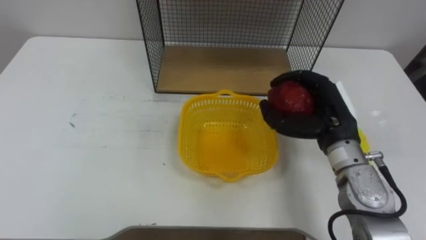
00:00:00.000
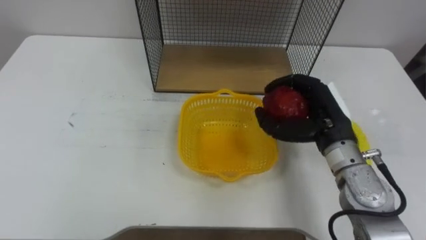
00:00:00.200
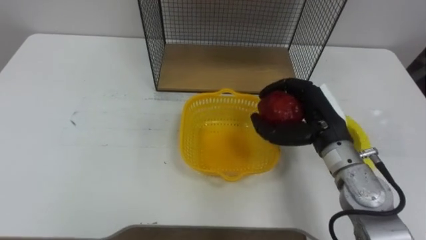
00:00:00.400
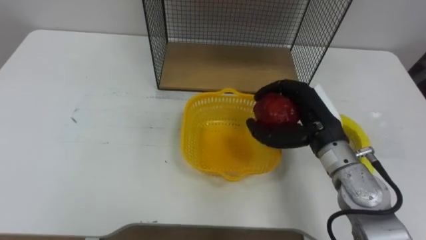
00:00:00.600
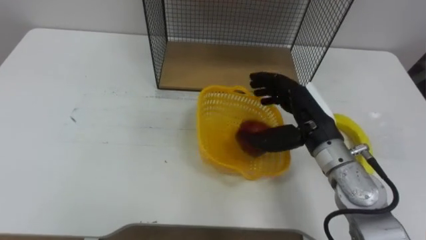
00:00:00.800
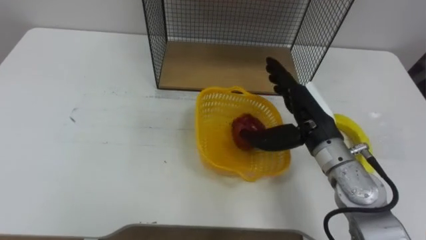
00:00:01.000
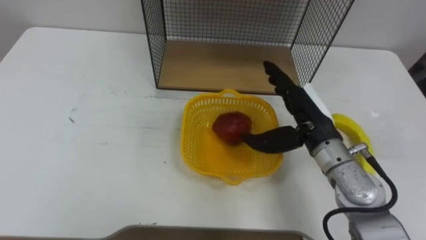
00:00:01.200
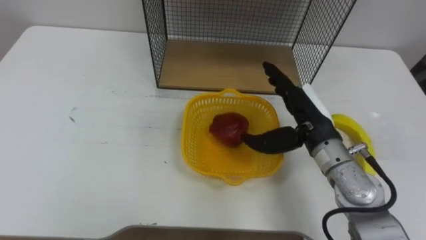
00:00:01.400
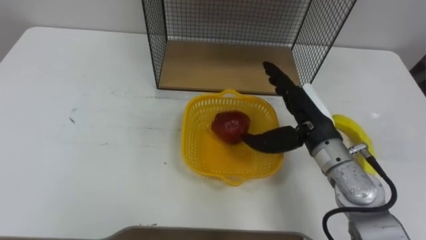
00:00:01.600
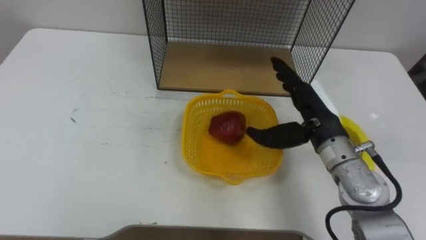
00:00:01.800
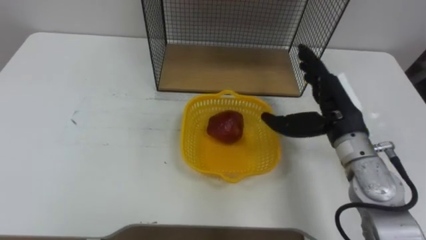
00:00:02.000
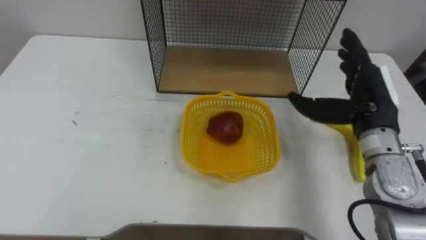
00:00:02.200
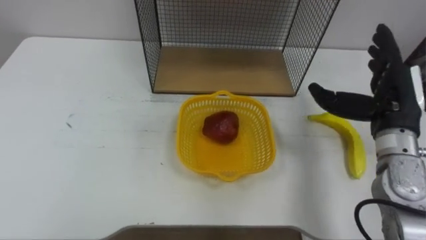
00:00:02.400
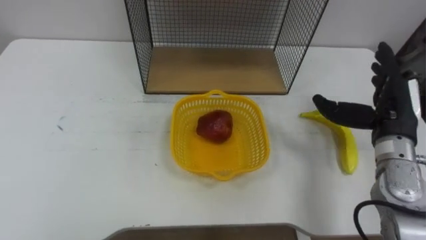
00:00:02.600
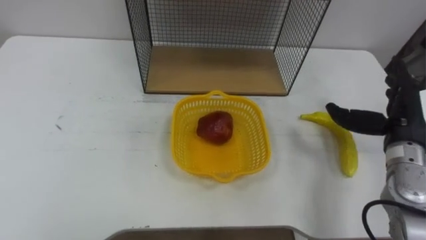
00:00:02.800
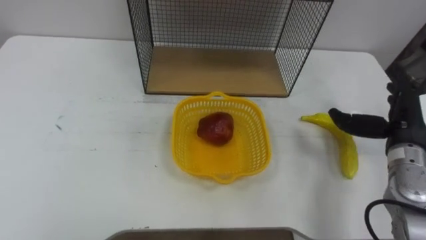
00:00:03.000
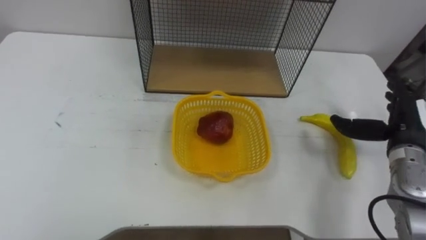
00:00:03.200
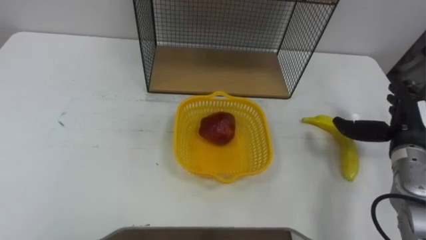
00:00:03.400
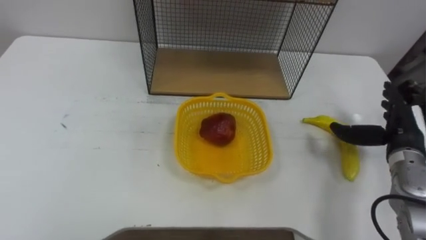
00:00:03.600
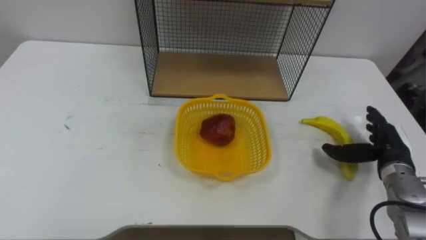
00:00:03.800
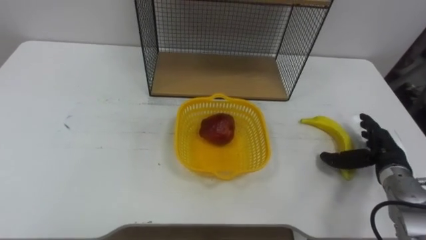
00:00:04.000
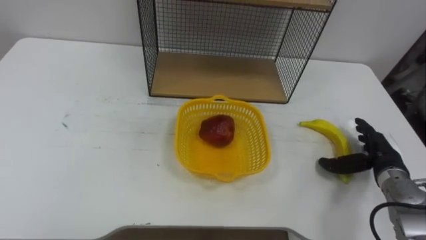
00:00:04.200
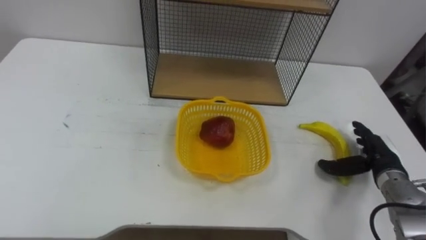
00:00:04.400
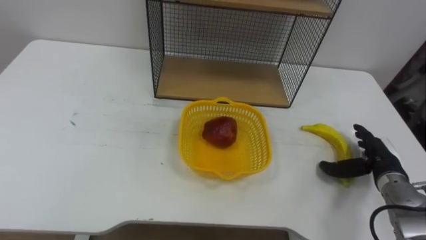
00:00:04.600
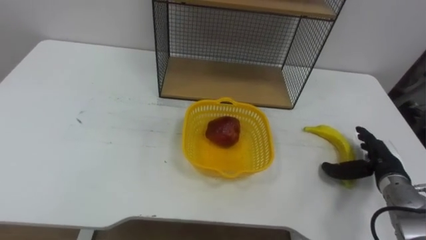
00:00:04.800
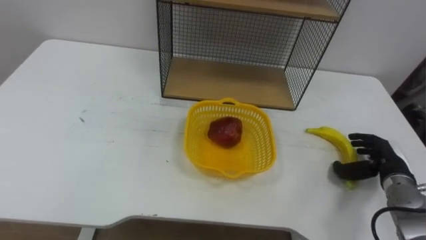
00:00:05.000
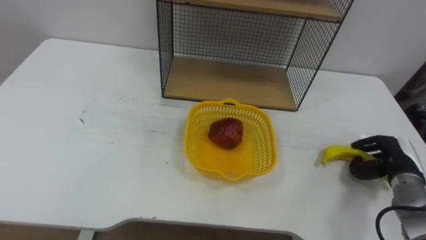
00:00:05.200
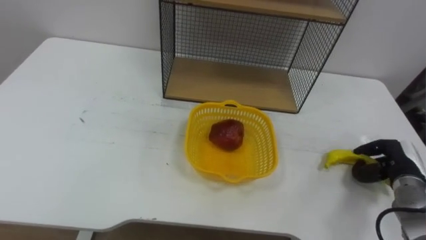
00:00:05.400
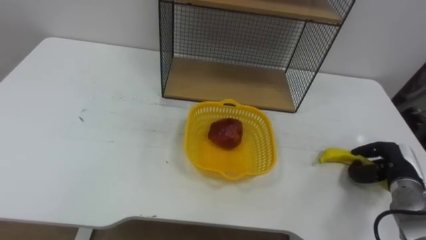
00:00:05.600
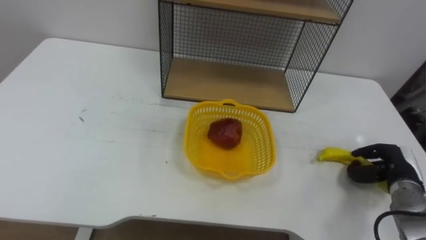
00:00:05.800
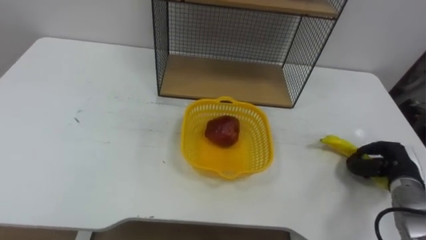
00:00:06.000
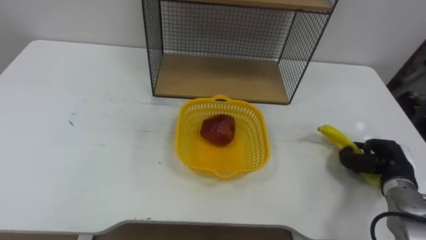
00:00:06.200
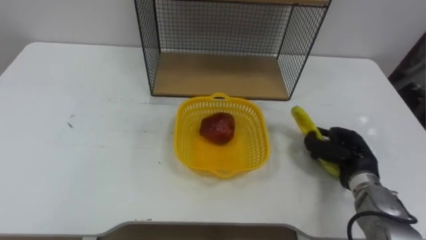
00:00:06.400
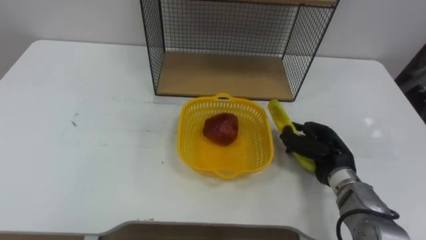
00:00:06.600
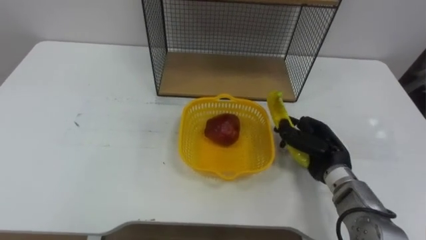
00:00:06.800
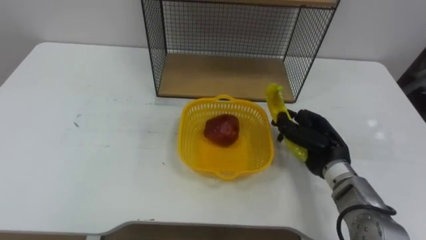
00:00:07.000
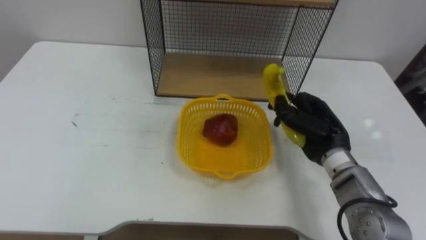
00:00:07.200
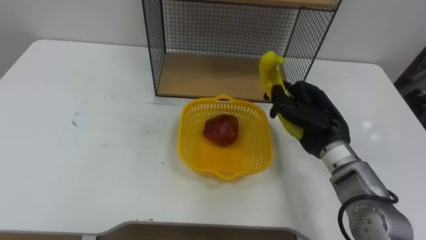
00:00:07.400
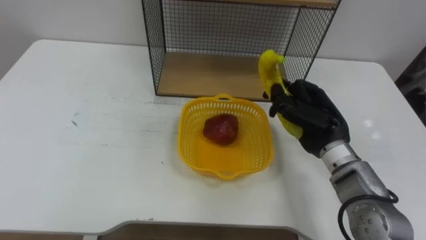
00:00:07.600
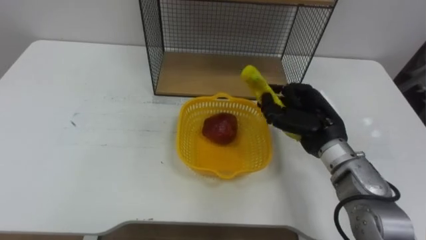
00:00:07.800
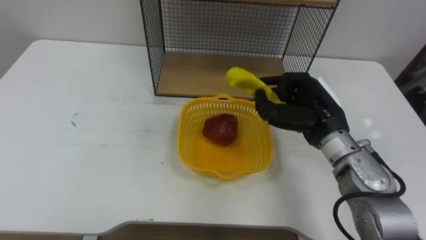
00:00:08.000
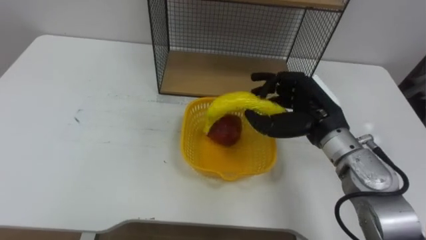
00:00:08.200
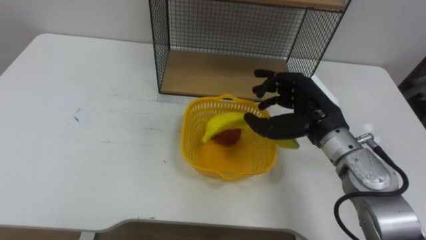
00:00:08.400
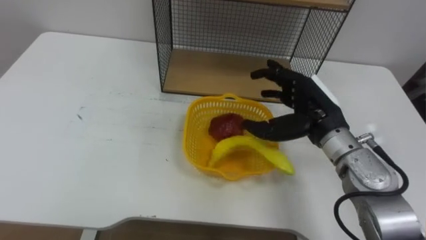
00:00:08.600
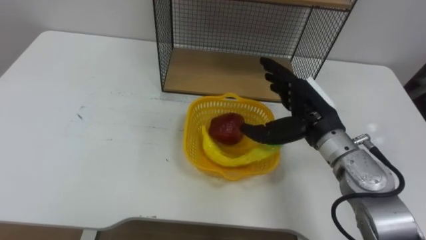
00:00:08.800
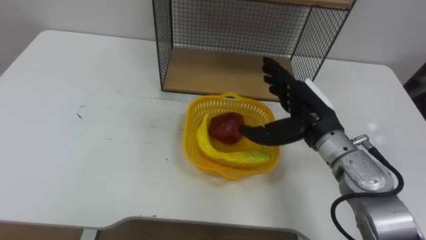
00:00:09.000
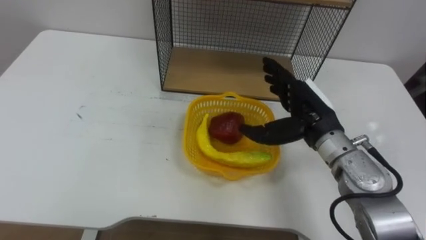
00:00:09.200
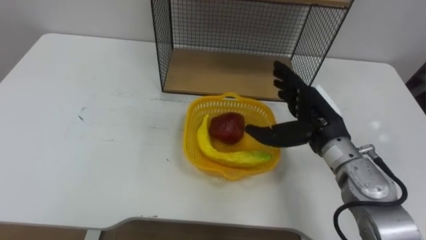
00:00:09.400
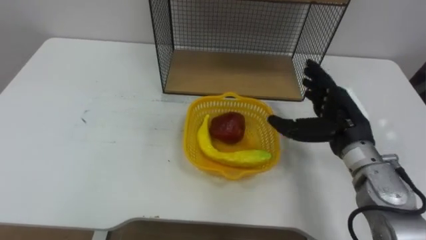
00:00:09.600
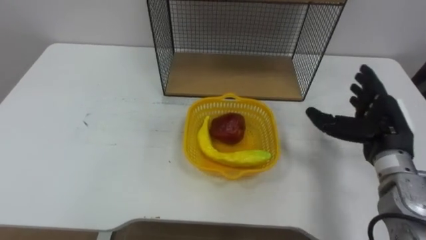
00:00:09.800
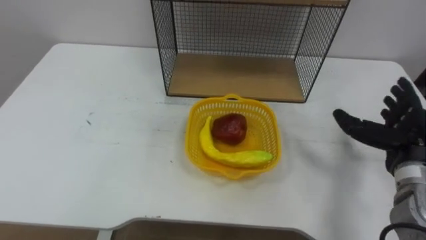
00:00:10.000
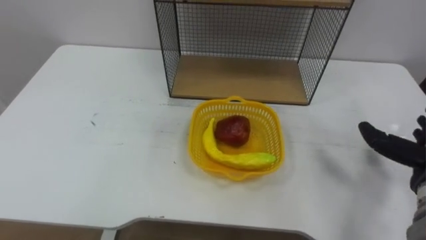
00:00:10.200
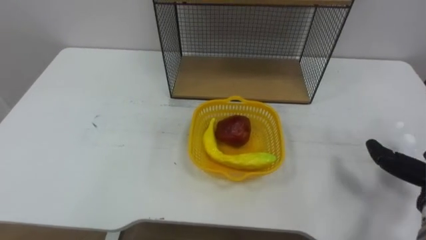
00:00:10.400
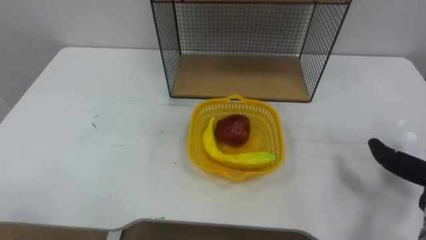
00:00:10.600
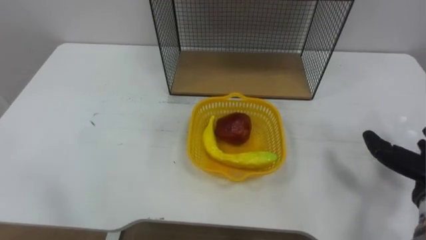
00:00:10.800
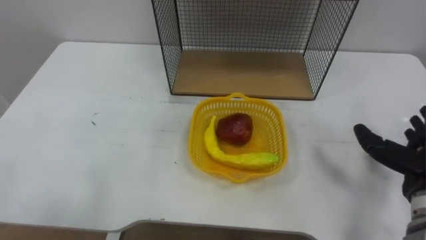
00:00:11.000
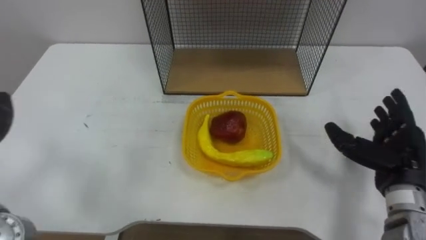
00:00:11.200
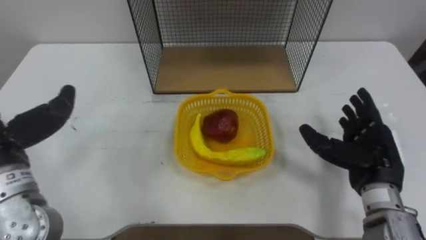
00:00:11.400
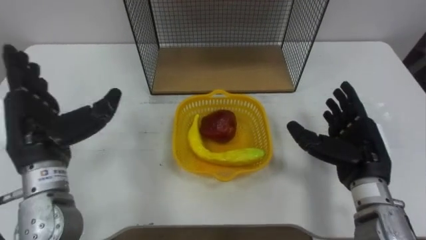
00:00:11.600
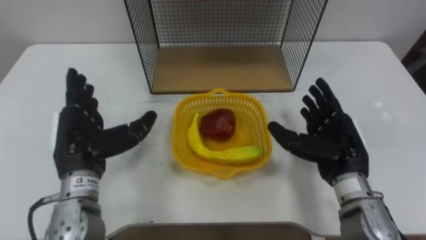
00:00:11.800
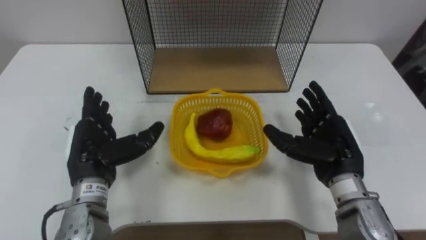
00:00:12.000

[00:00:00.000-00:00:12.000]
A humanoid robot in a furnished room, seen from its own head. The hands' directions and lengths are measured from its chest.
Task of the whole recording: Put the fruit on the table into the basket, then place the basket on the shelf.
00:00:00.000 to 00:00:01.600: The right hand opens up.
00:00:01.600 to 00:00:03.000: The right hand heads to the right, covering roughly 15 cm.
00:00:03.000 to 00:00:04.400: The right hand moves downward, some 10 cm.
00:00:04.400 to 00:00:06.000: The right hand closes its fingers.
00:00:06.000 to 00:00:07.600: The right hand is displaced to the left and upward by roughly 20 cm.
00:00:07.600 to 00:00:09.000: The right hand opens.

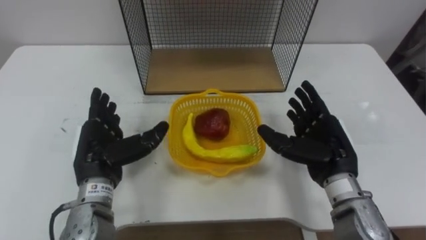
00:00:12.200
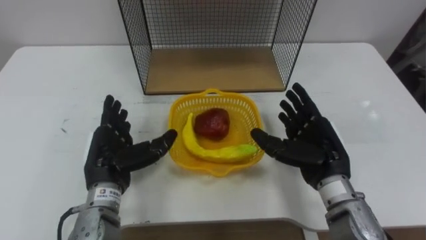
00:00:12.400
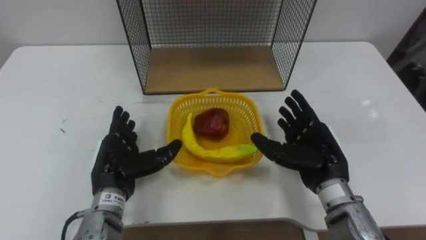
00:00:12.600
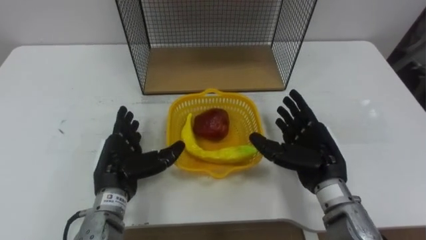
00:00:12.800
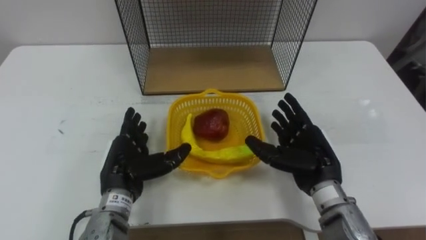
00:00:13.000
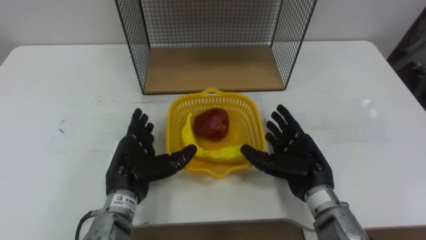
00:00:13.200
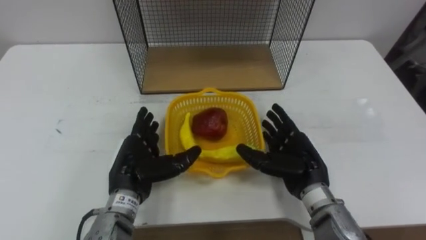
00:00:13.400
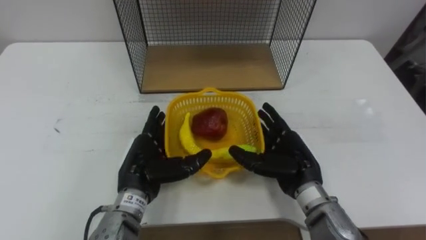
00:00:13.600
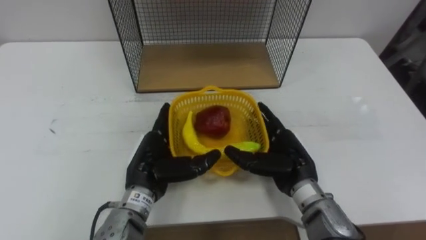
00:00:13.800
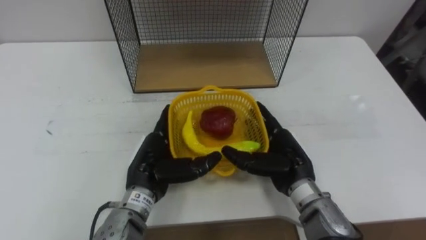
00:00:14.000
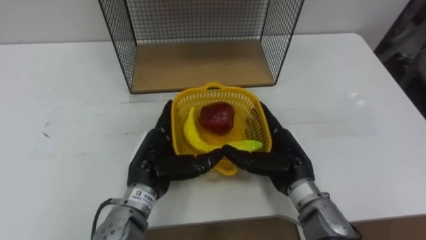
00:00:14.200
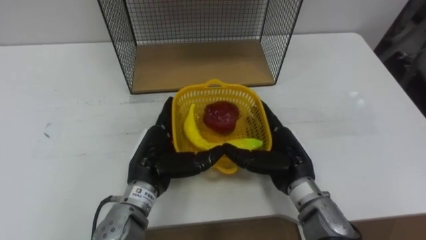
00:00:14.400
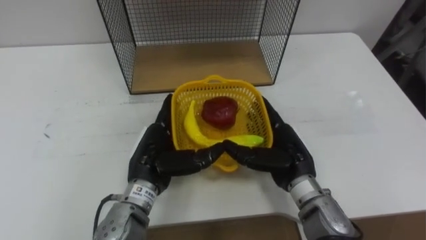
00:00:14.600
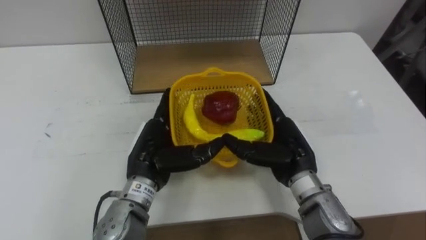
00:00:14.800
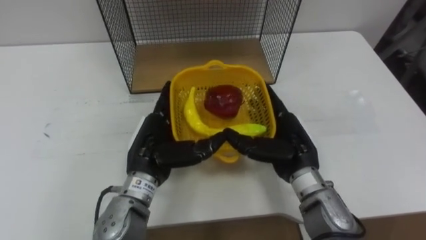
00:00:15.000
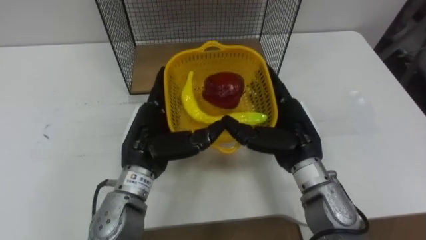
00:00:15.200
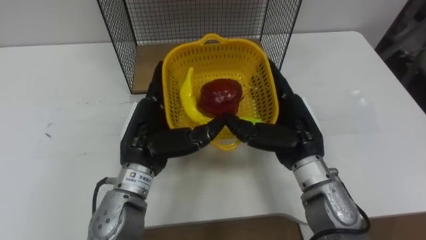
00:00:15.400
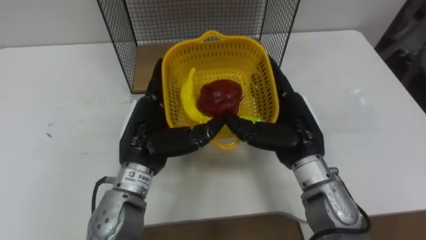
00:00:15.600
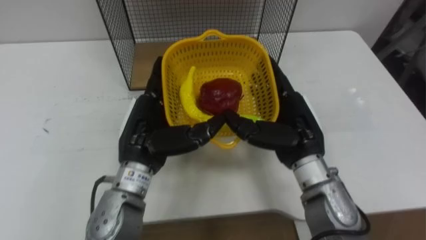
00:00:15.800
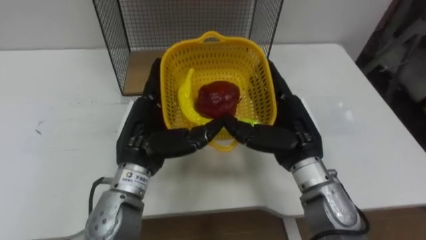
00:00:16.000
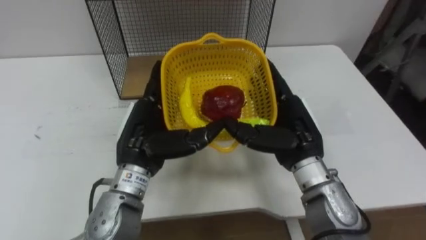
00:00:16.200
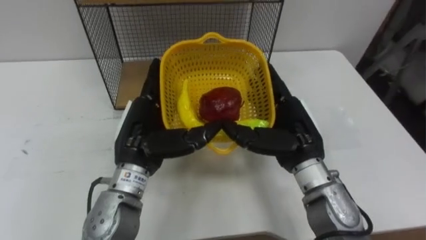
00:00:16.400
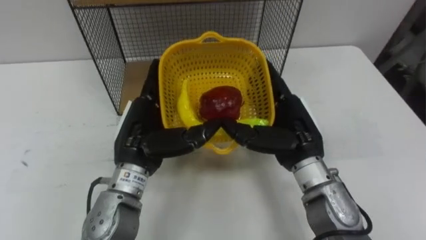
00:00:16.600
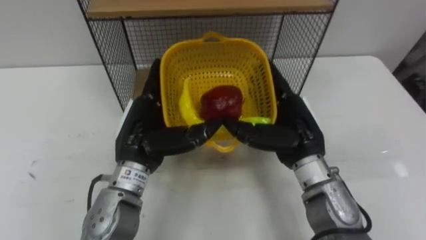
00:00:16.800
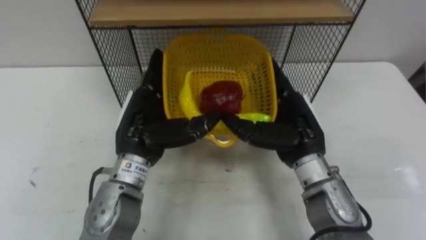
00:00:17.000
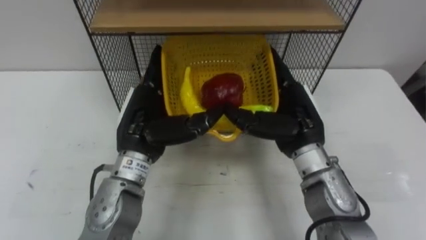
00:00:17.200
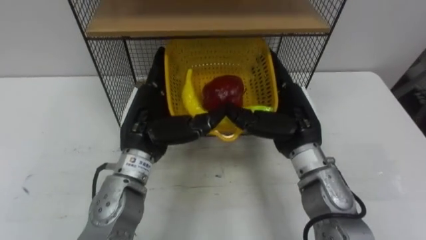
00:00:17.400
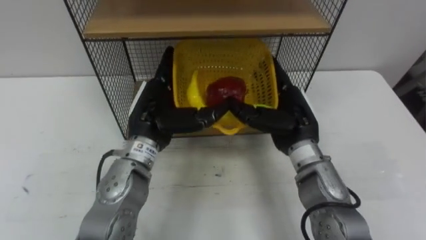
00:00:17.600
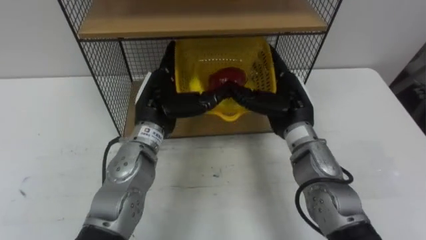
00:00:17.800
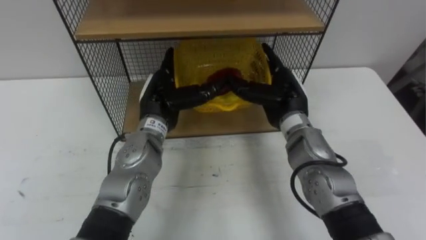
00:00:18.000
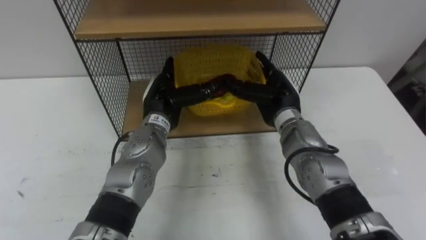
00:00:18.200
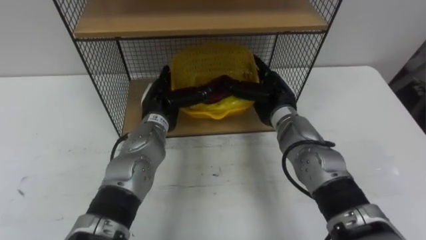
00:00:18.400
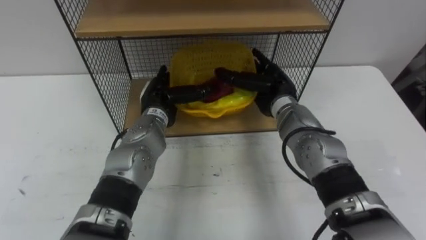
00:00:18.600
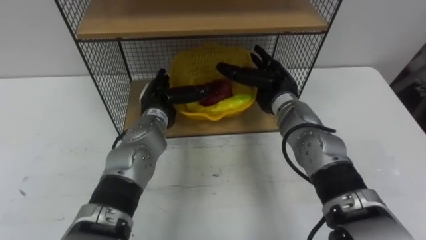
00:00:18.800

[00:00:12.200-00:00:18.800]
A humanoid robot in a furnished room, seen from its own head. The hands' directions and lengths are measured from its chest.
Task of the whole recording: Put the fruit on the table into the basket, then place the basket on the shelf.
00:00:12.200 to 00:00:13.800: The right hand is displaced to the left by approximately 5 cm, while the left hand moves to the right, some 10 cm.
00:00:13.800 to 00:00:15.400: The two hands go roughly 5 cm upward.
00:00:17.200 to 00:00:18.800: The left hand goes some 15 cm forward and downward; the right hand goes about 10 cm forward.
